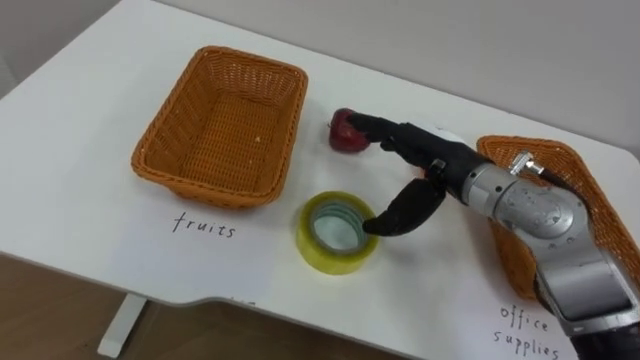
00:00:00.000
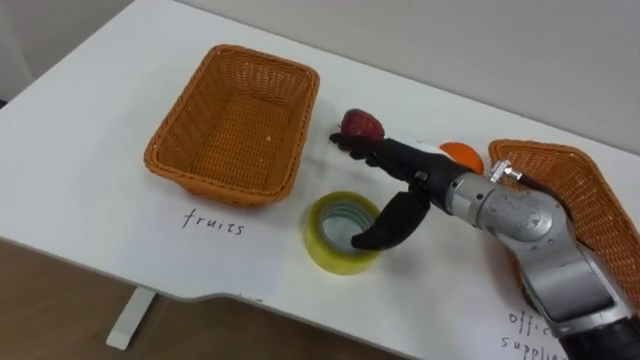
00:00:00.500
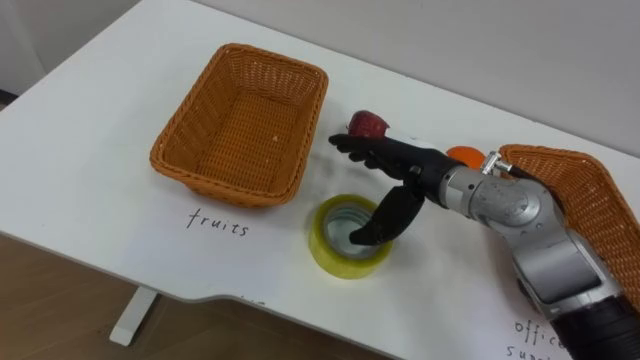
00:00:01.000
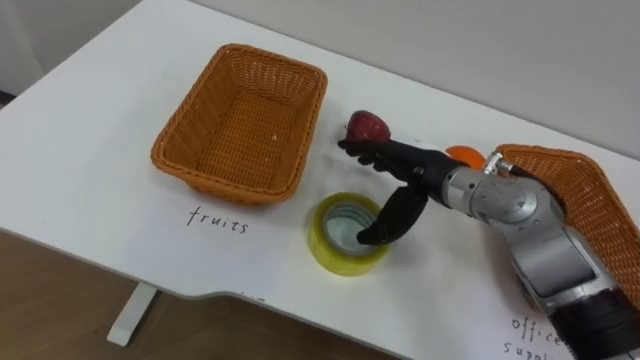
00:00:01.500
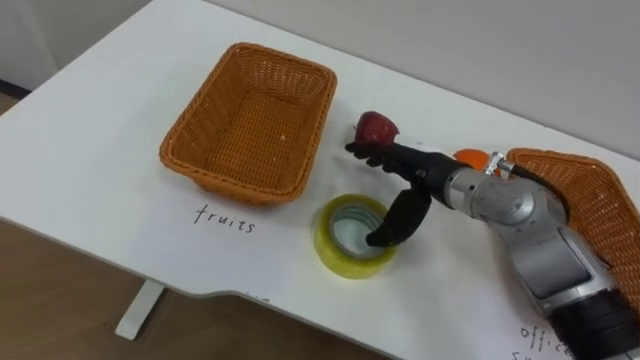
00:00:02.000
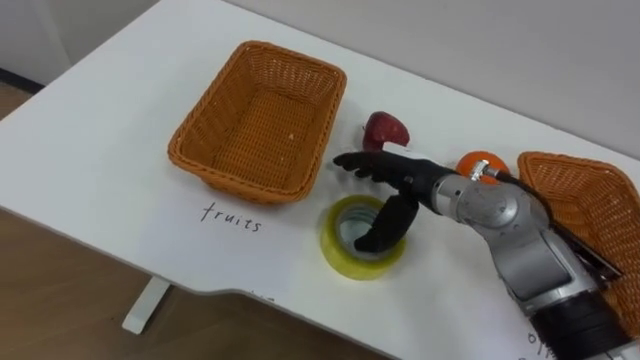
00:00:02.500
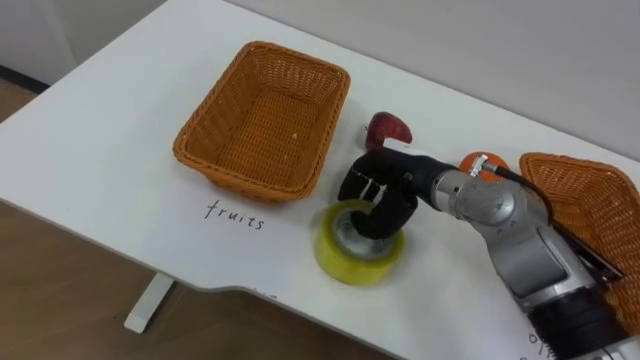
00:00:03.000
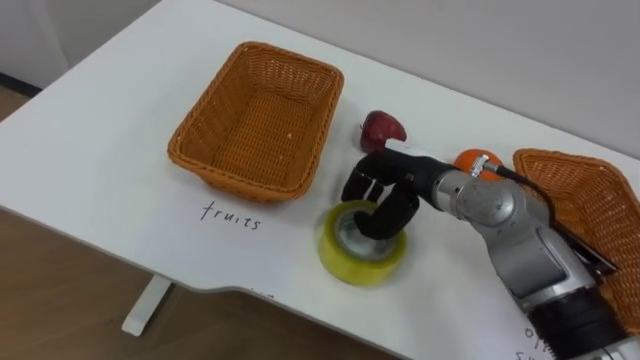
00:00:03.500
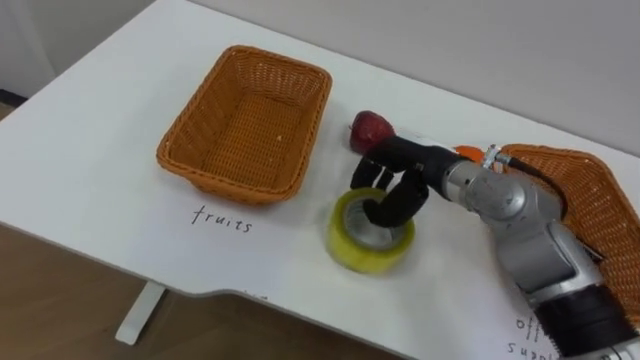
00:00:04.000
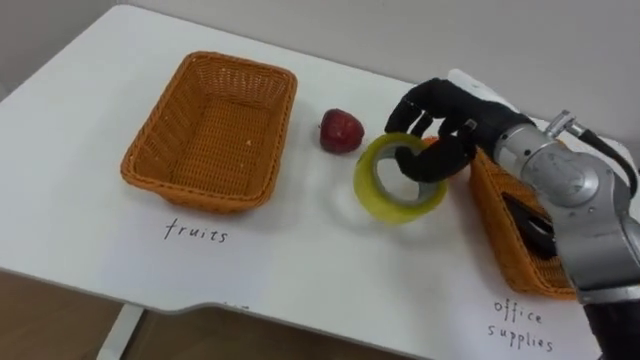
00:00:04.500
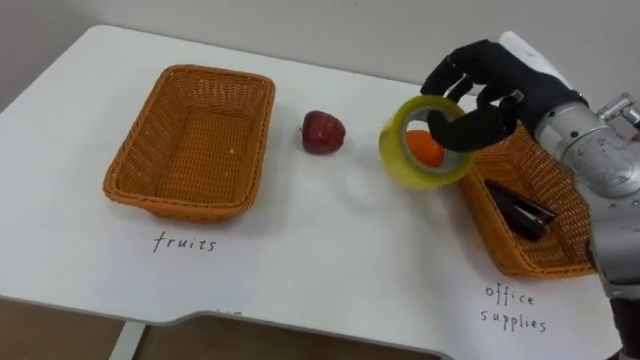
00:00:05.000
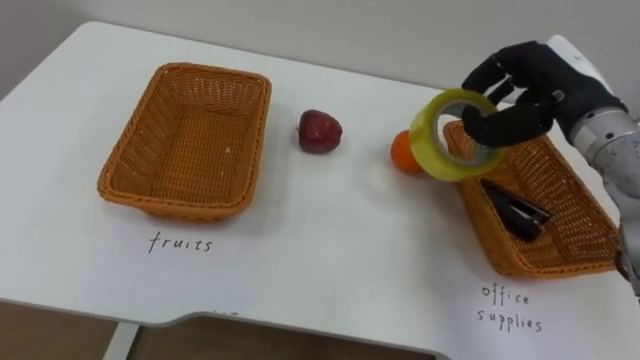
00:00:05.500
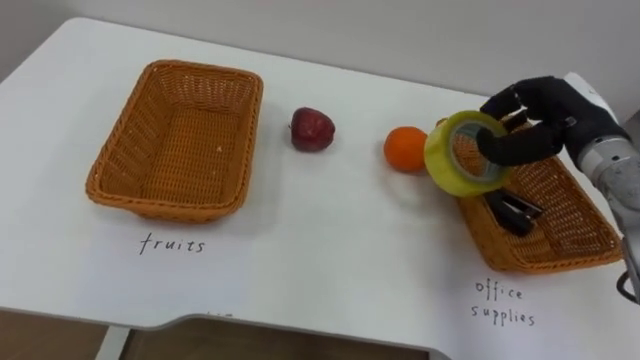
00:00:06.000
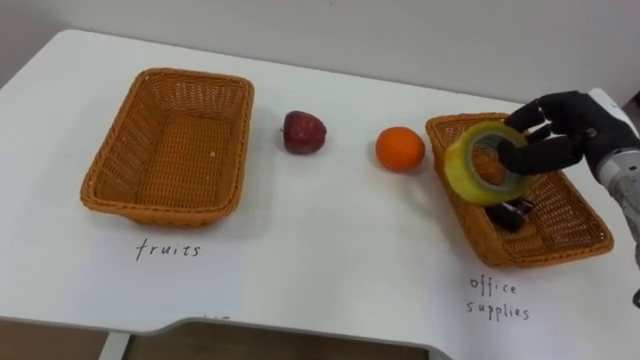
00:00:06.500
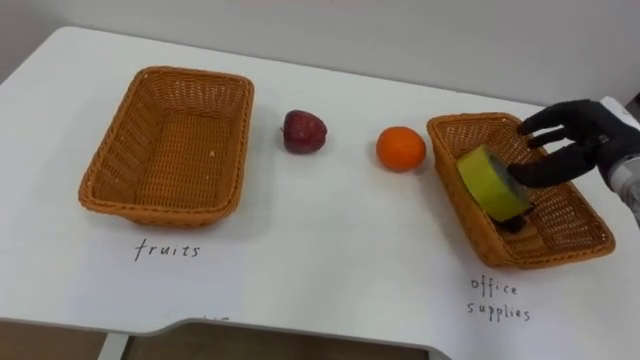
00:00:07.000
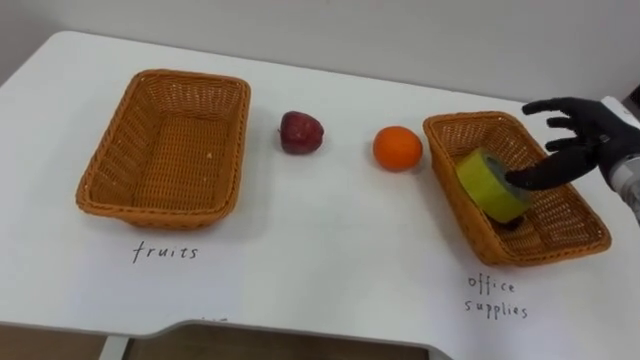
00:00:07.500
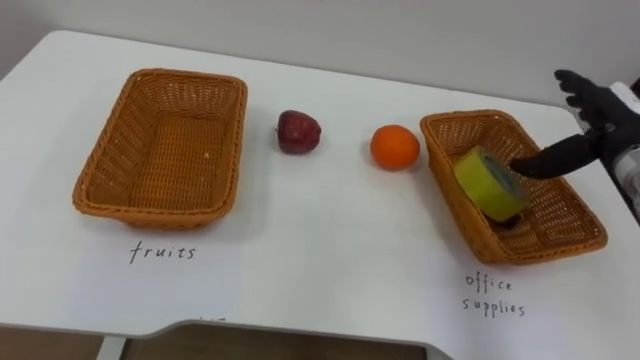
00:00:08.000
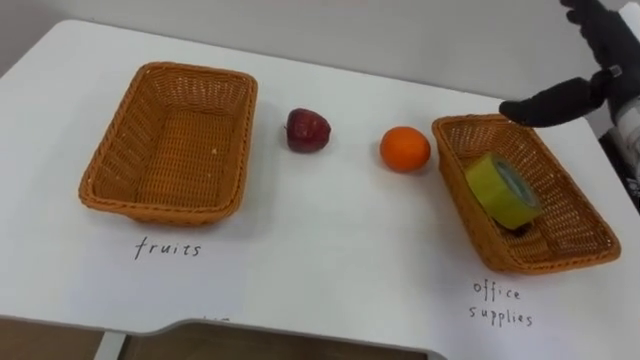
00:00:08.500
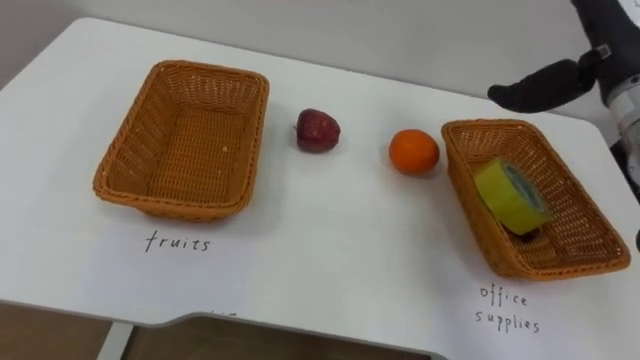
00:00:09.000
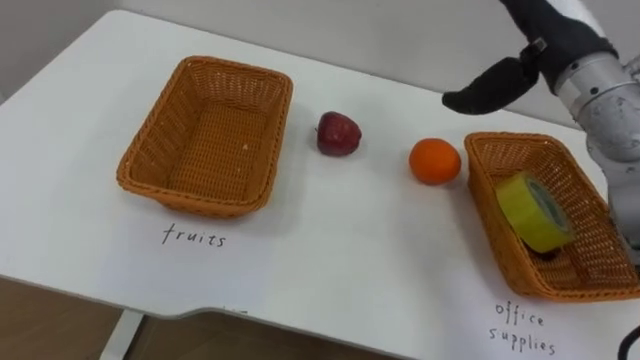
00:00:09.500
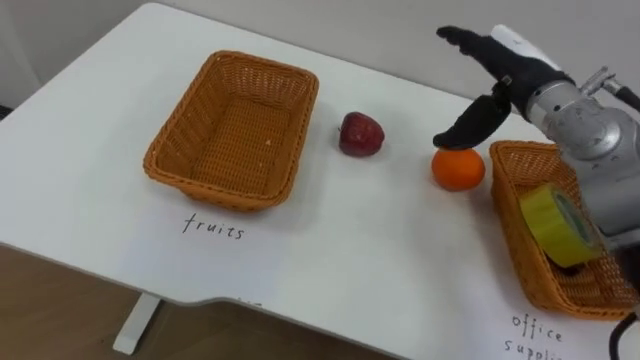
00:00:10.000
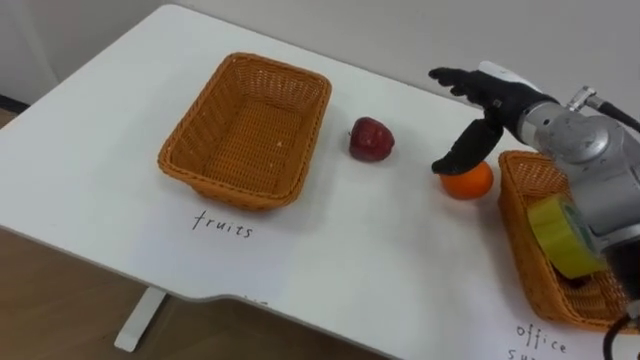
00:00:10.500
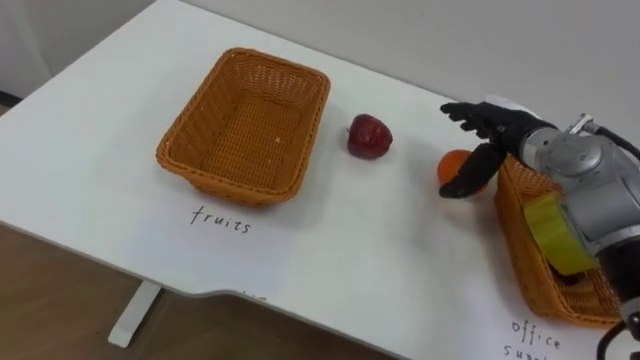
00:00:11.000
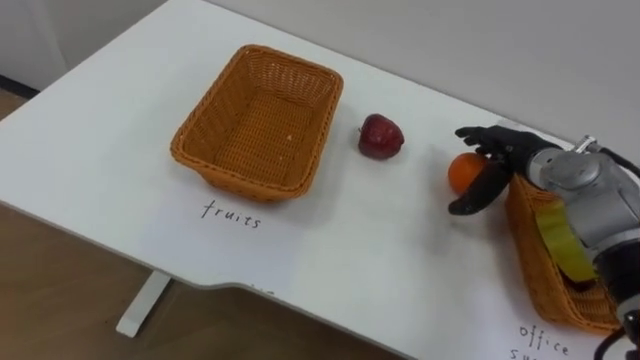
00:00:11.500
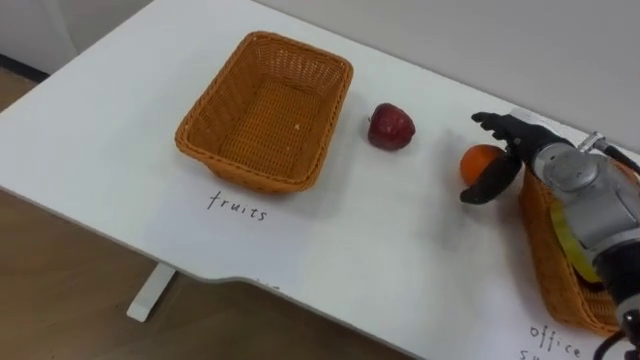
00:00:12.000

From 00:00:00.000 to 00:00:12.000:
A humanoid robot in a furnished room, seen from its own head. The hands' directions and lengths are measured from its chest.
Task of the whole recording: Separate the items on the table and place them into the two baskets.
From 00:00:02.000 to 00:00:04.000: The right hand closes.
From 00:00:04.000 to 00:00:06.000: The right hand travels to the right by approximately 15 cm.
From 00:00:06.000 to 00:00:08.000: The right hand changes place by some 5 cm, and opens up.
From 00:00:08.000 to 00:00:10.000: The right hand moves to the left and upward, about 15 cm.
From 00:00:10.000 to 00:00:12.000: The right hand moves downward and to the right, some 10 cm.

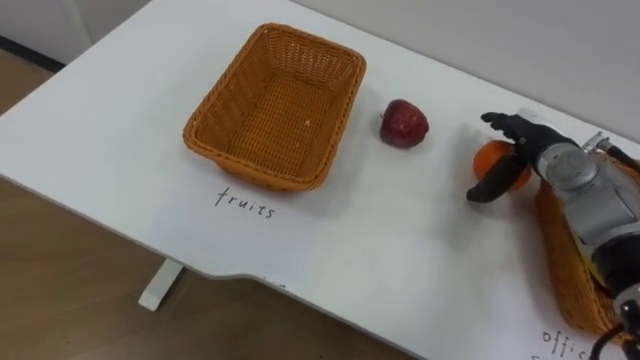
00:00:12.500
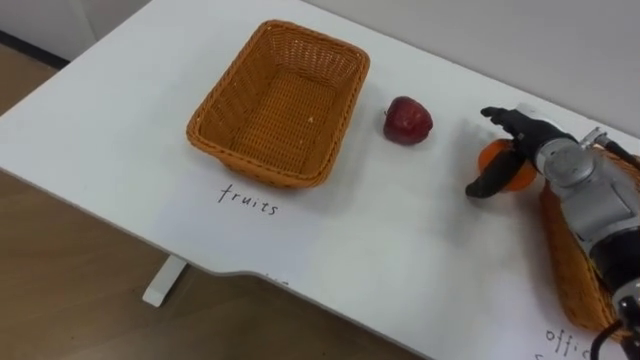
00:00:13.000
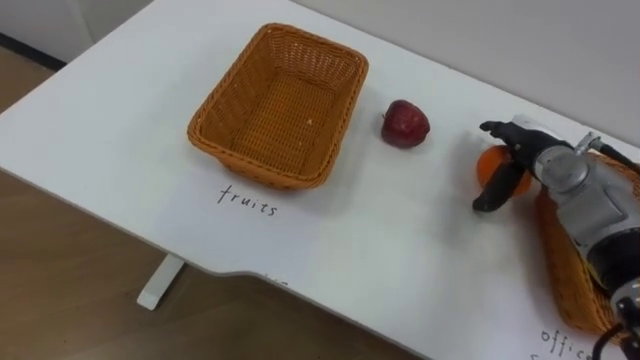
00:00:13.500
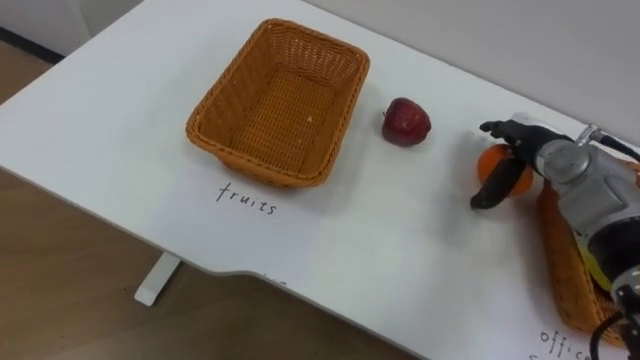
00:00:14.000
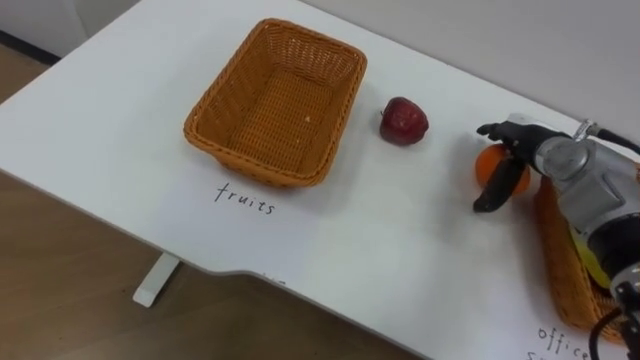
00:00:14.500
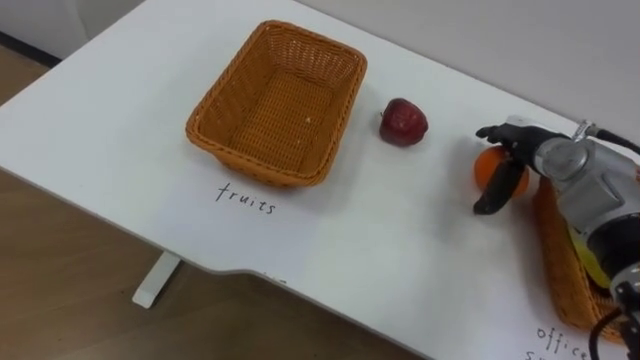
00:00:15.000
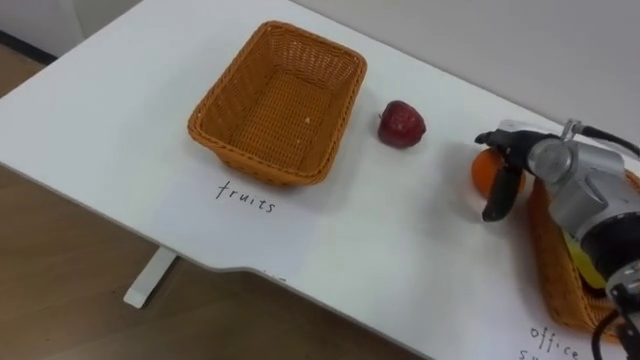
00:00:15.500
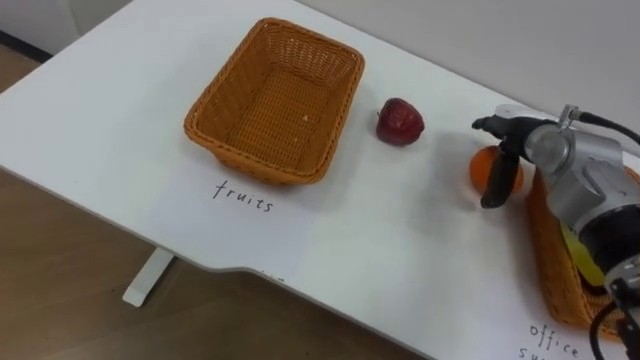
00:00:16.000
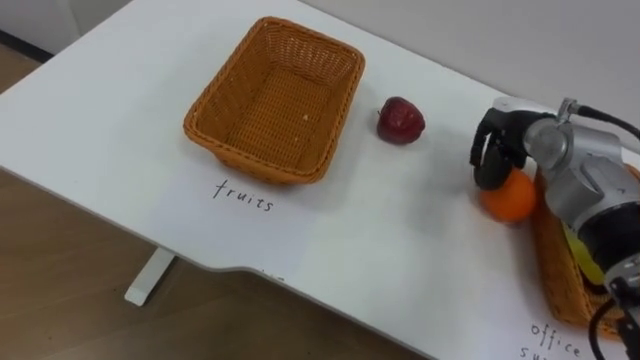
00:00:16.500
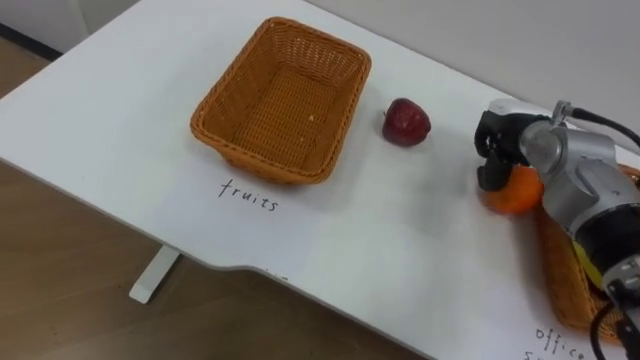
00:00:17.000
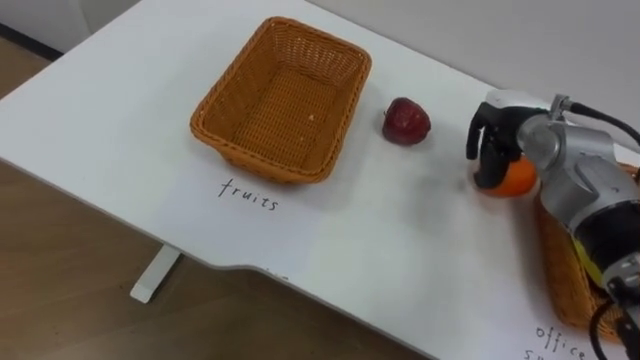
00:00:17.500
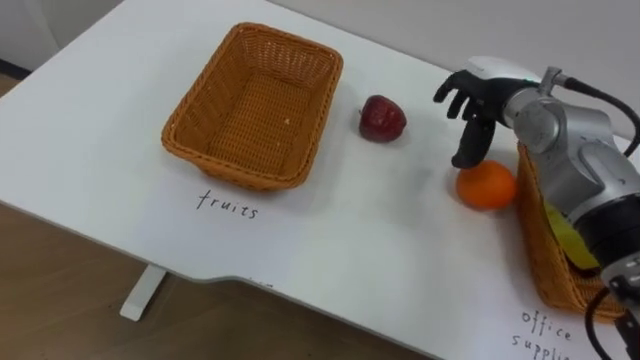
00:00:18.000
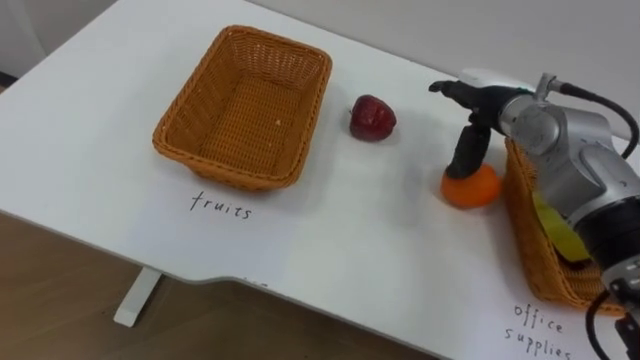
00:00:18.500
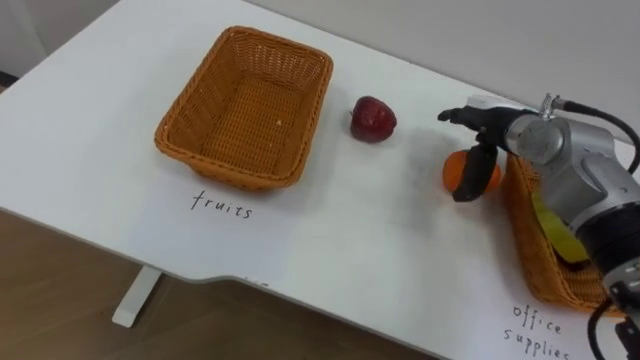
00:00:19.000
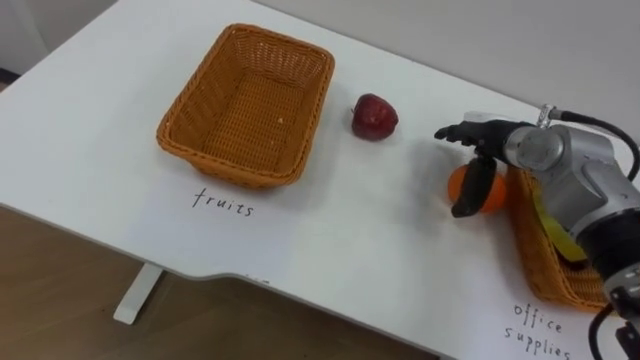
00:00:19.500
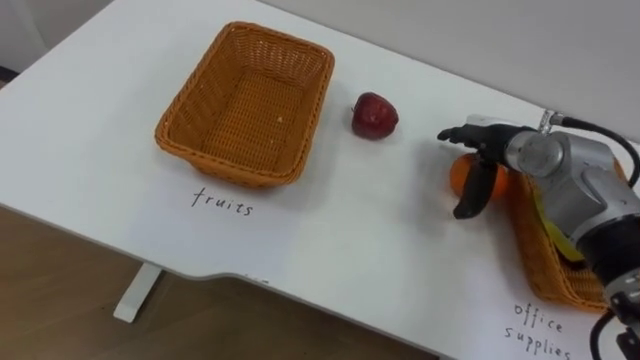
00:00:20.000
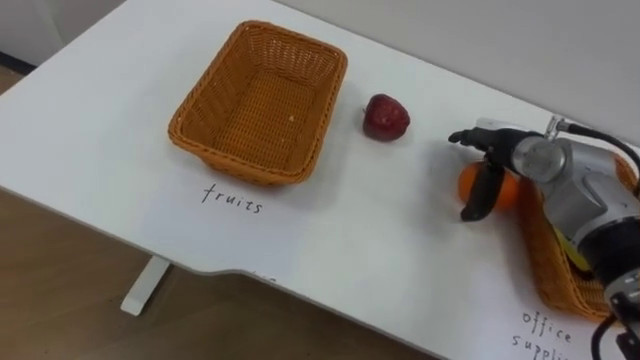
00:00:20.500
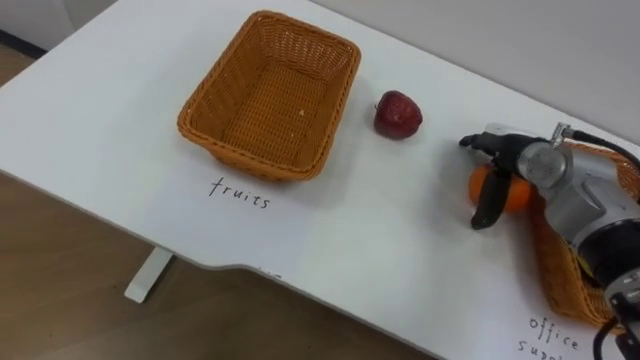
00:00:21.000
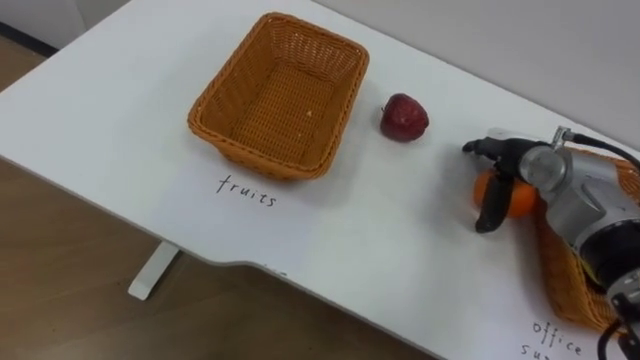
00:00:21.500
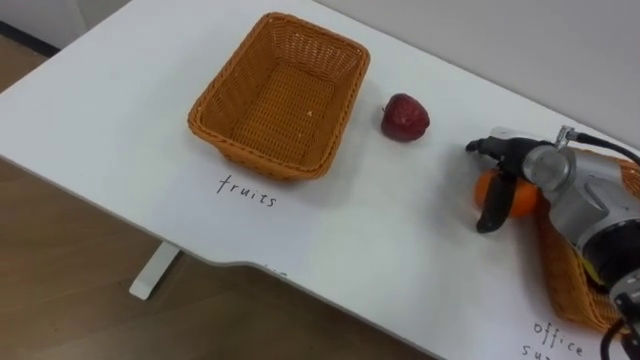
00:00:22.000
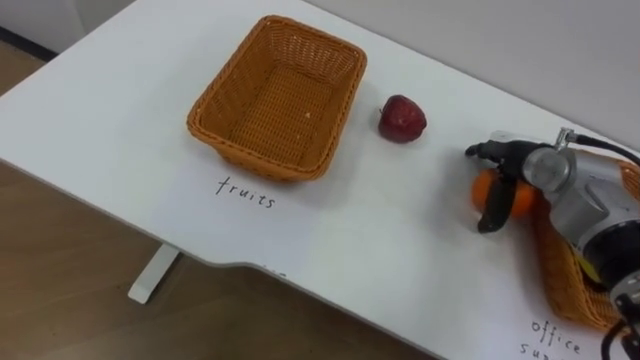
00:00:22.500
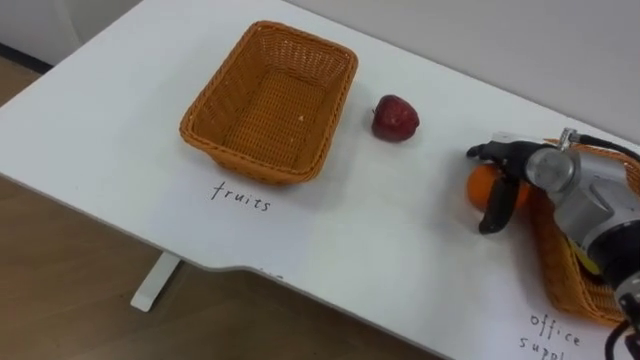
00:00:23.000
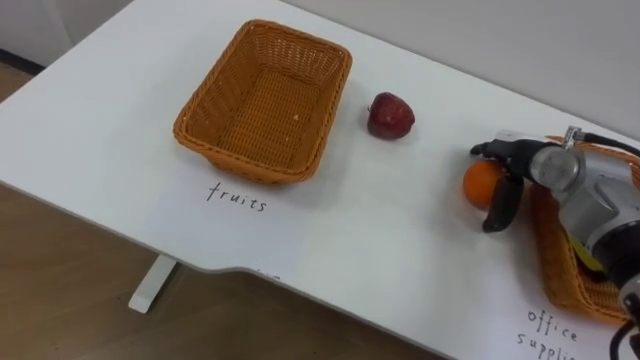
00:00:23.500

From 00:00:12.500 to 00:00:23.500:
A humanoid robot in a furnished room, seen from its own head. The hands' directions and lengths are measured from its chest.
Task of the whole recording: Separate the items on the table and place them into the two baskets.
From 00:00:16.000 to 00:00:18.000: The right hand travels upward by approximately 5 cm, and closes and opens again.
From 00:00:18.000 to 00:00:20.000: The right hand shifts some 5 cm downward.
